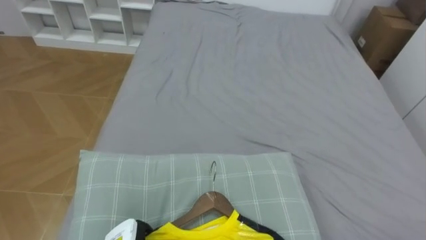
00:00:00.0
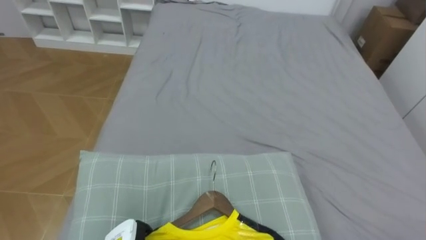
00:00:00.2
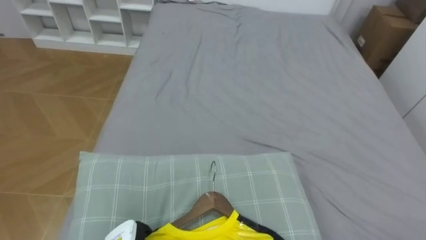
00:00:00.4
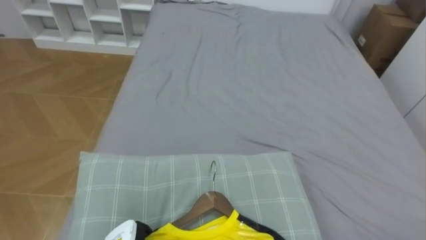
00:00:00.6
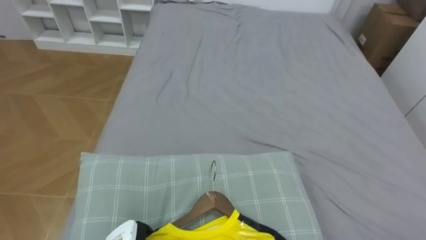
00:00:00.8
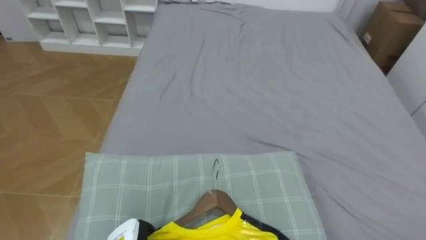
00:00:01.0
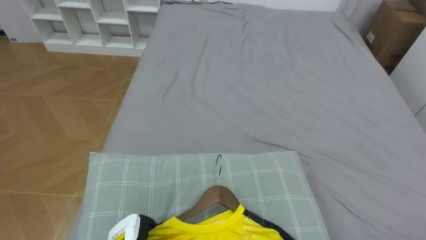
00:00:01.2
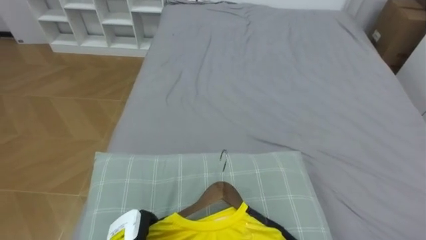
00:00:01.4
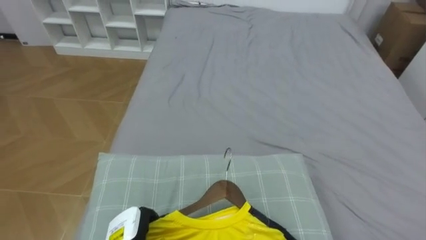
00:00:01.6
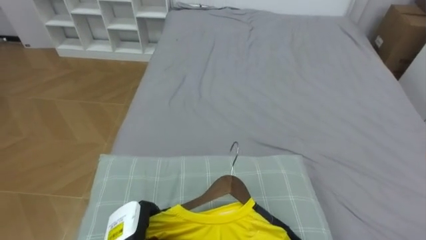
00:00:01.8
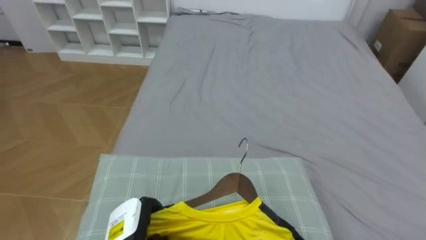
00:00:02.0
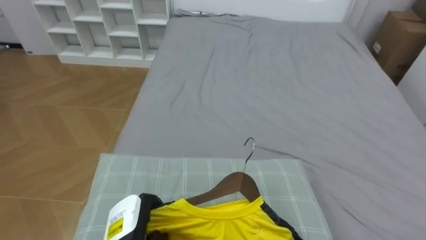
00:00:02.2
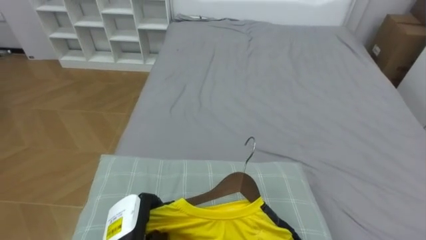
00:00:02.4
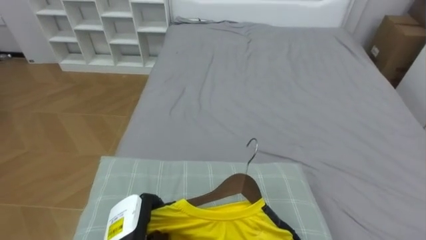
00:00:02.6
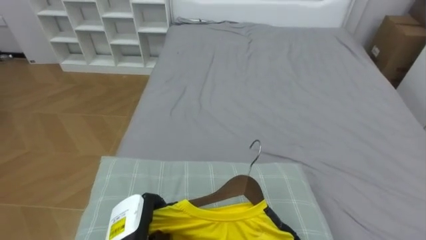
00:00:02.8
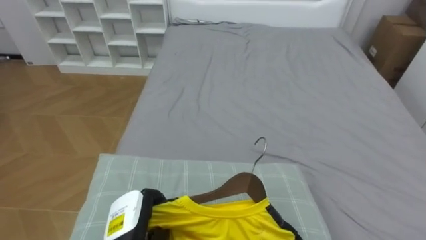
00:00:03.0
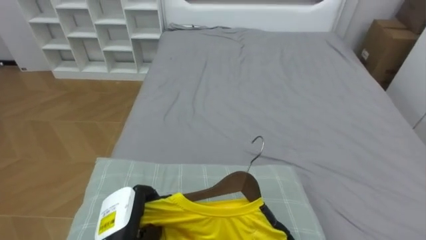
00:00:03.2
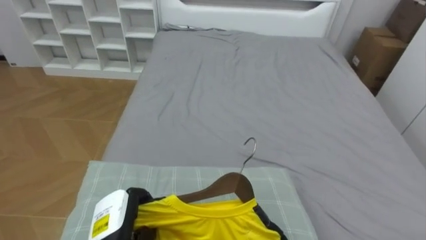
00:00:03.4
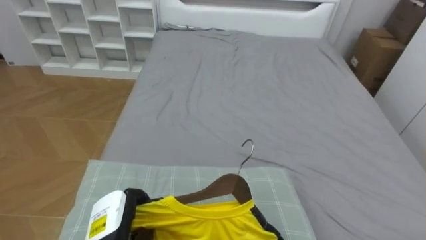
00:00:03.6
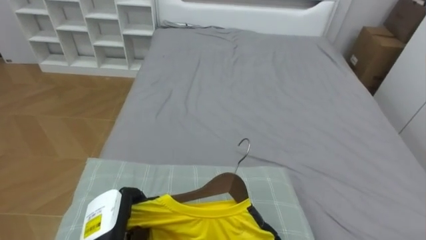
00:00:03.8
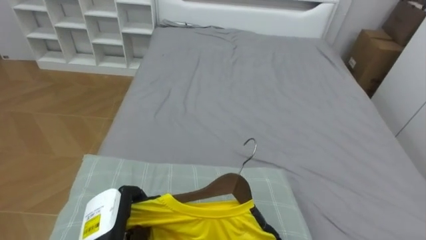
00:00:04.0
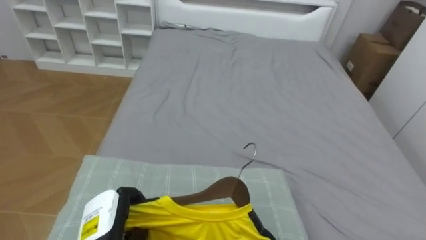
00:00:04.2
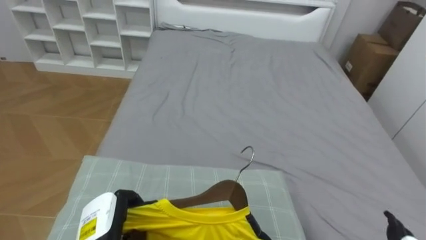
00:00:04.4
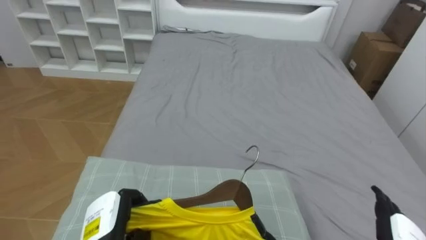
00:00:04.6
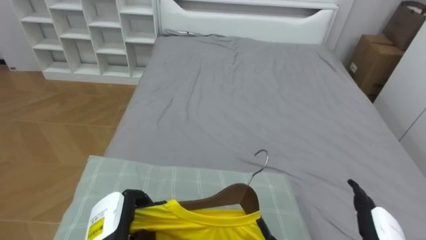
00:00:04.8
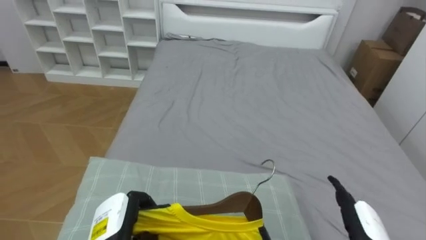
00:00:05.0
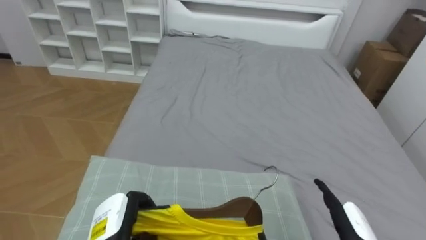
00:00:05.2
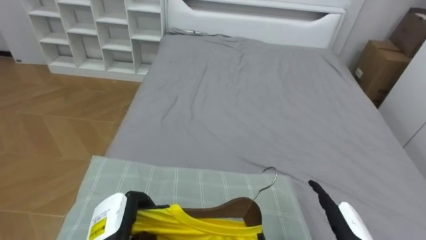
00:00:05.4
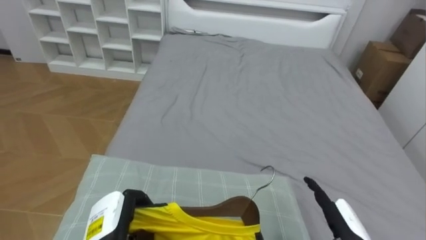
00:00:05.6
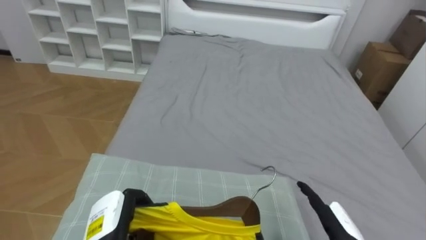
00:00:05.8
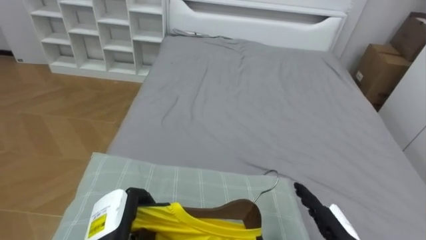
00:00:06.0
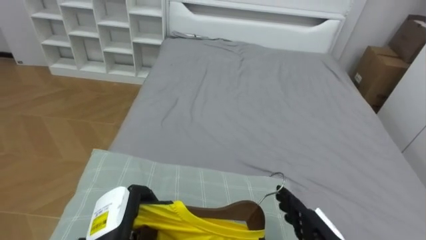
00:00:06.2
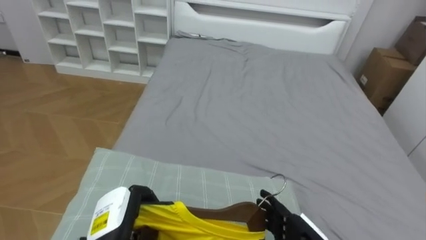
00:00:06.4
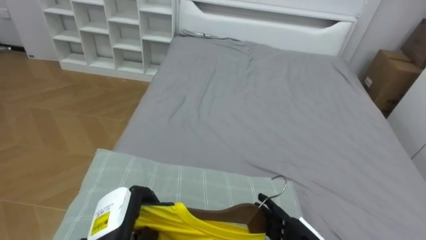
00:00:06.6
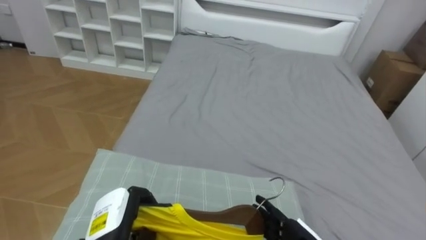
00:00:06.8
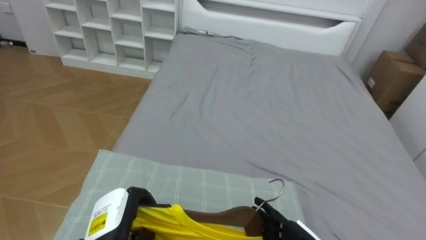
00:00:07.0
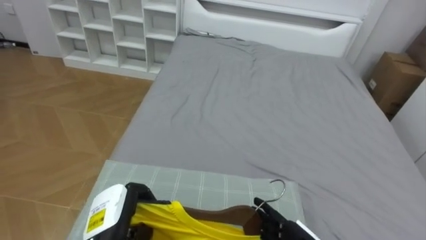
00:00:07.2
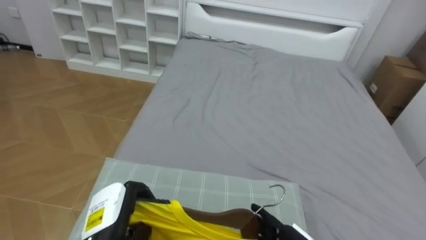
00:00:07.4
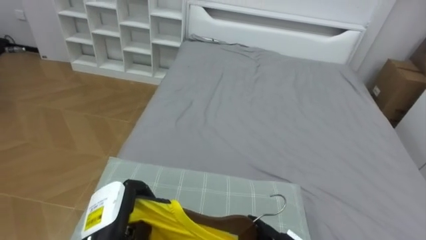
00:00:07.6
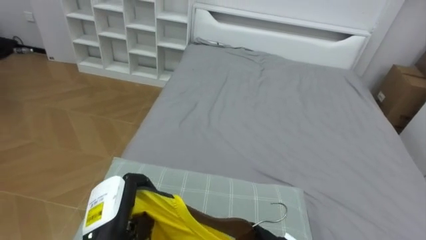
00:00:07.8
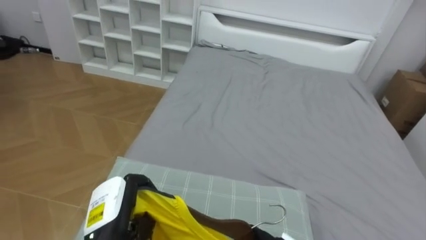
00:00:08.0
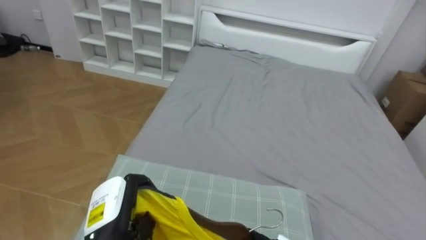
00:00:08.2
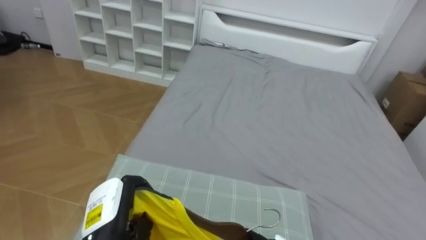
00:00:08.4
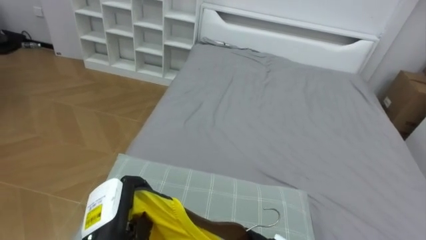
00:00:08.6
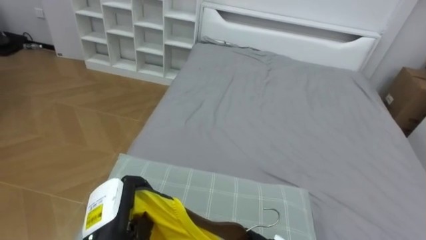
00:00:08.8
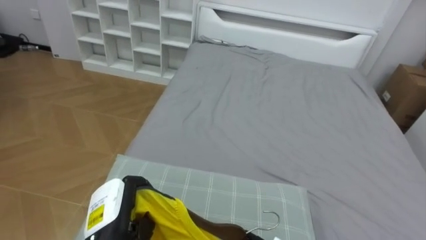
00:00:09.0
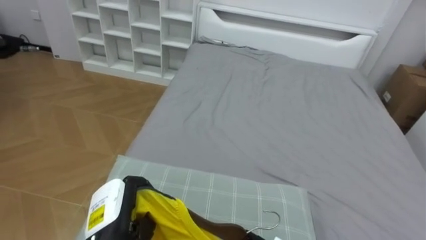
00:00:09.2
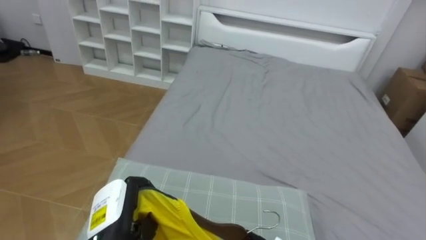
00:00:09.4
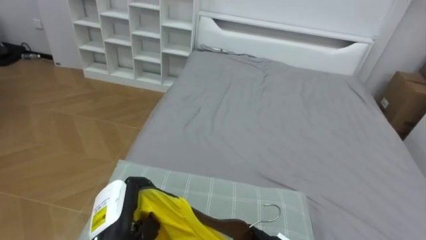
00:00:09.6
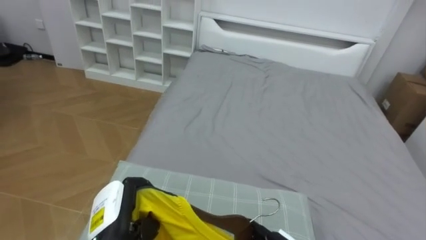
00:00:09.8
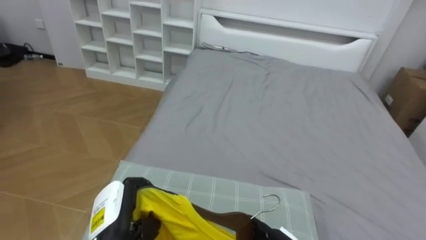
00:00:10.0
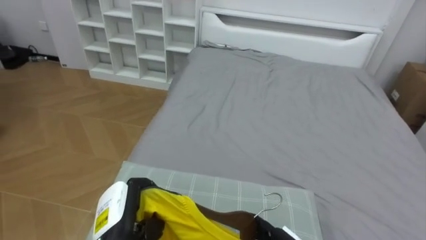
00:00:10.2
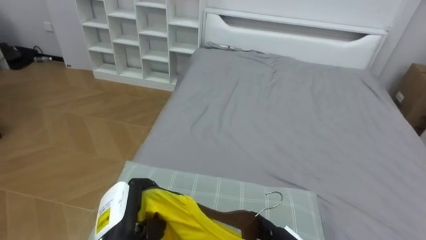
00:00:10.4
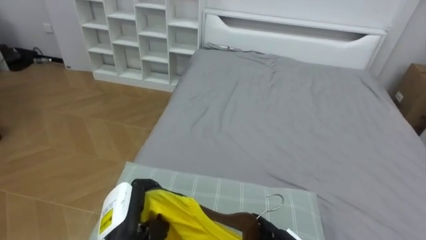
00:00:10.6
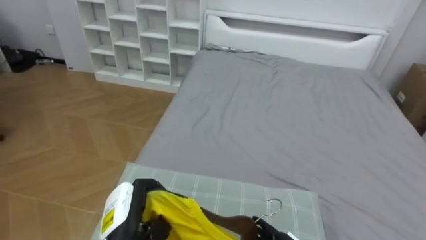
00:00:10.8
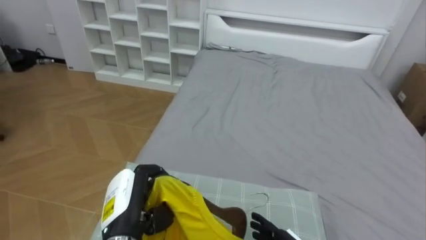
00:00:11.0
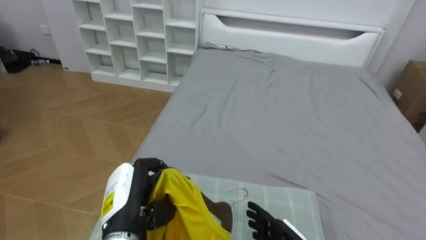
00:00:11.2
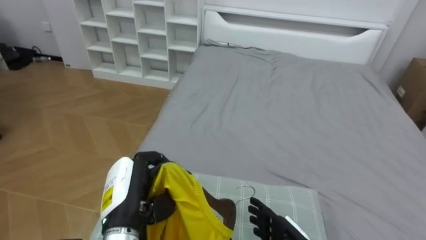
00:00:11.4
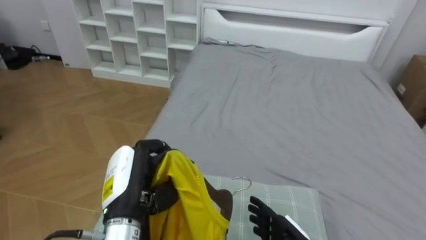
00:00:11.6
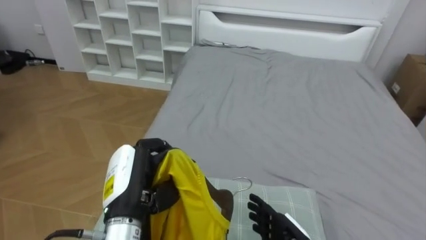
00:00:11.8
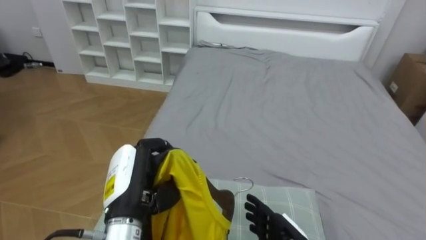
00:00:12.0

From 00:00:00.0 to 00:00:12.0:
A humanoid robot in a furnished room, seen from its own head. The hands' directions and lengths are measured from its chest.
Task of the whole recording: Pick up the yellow shirt on the bed and hang it on the clothes rack on the right.
From 00:00:01.6 to 00:00:03.0: The left hand shifts approximately 5 cm upward.
From 00:00:10.4 to 00:00:12.0: The left hand moves upward, about 10 cm.

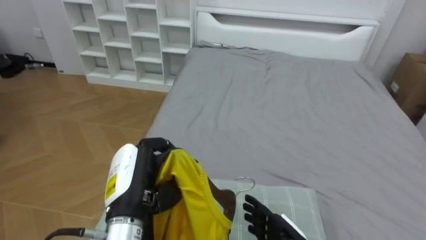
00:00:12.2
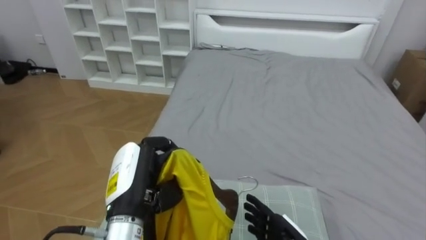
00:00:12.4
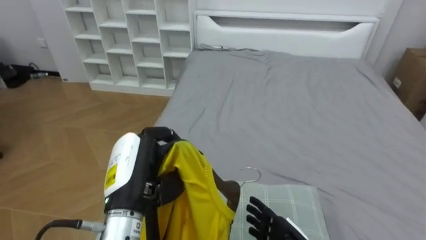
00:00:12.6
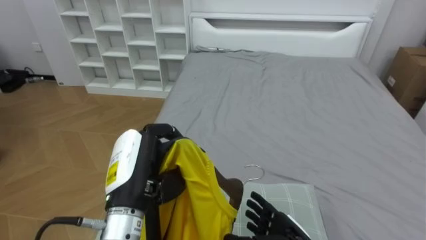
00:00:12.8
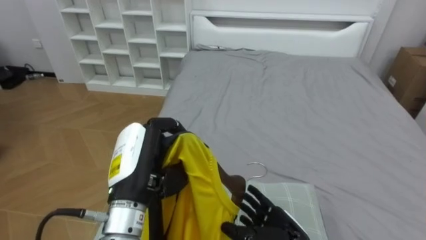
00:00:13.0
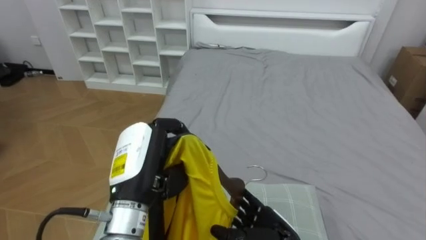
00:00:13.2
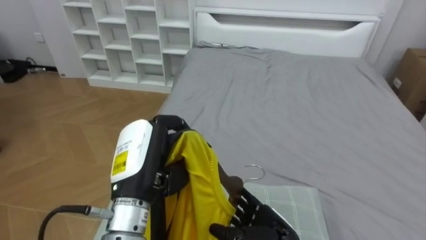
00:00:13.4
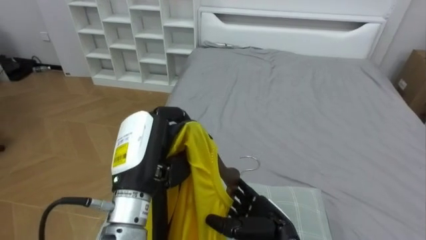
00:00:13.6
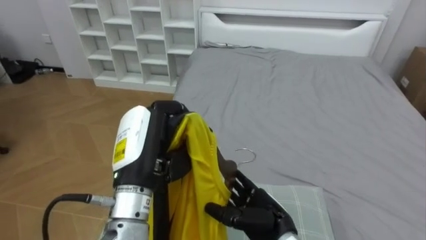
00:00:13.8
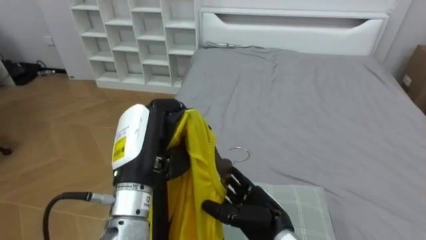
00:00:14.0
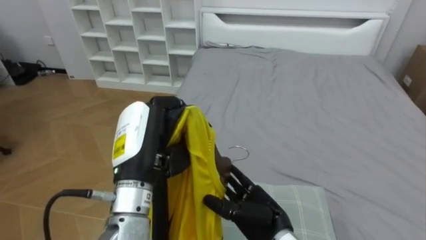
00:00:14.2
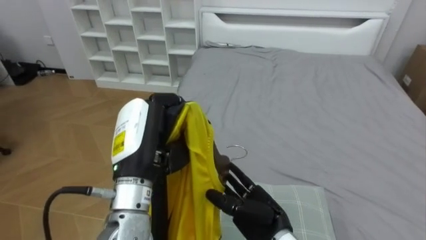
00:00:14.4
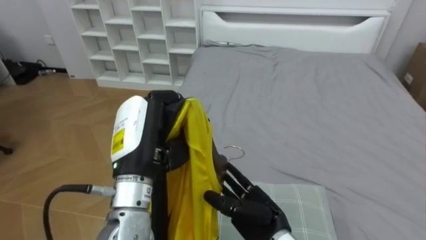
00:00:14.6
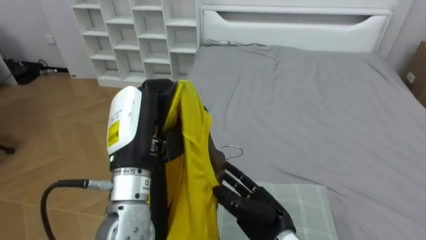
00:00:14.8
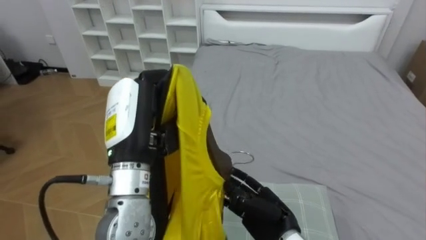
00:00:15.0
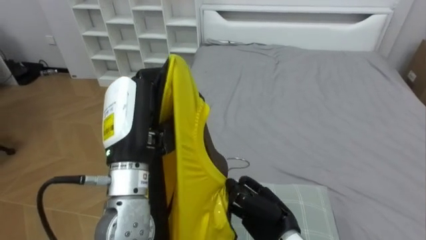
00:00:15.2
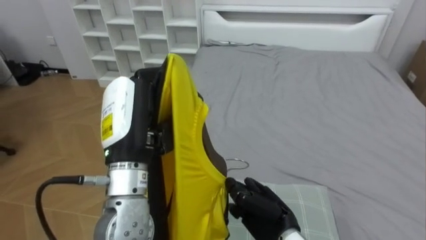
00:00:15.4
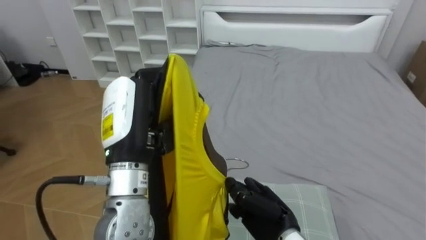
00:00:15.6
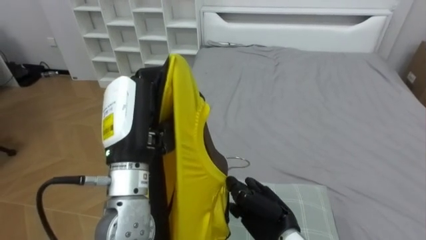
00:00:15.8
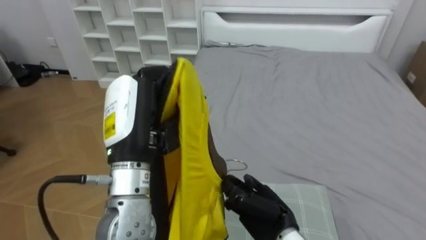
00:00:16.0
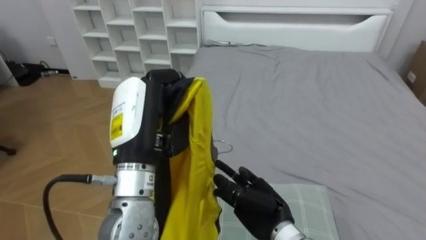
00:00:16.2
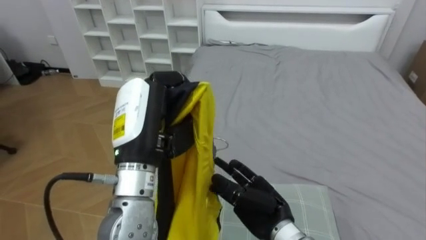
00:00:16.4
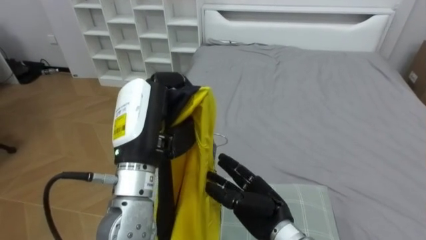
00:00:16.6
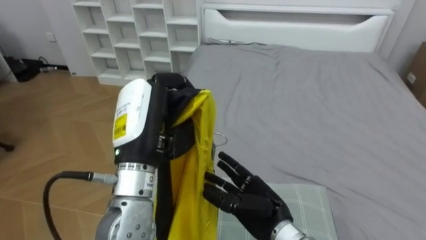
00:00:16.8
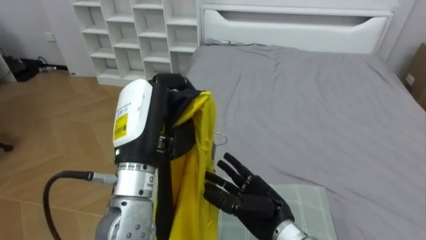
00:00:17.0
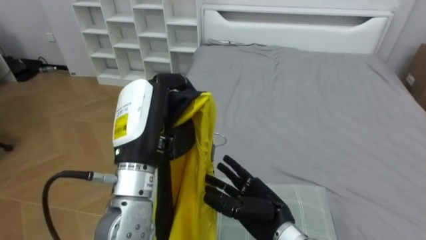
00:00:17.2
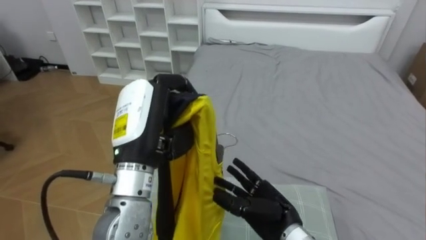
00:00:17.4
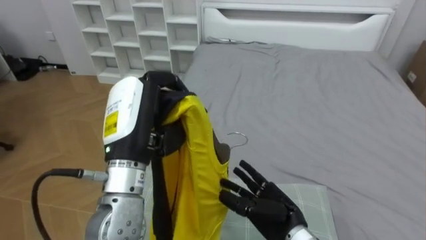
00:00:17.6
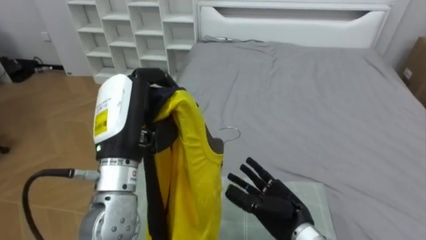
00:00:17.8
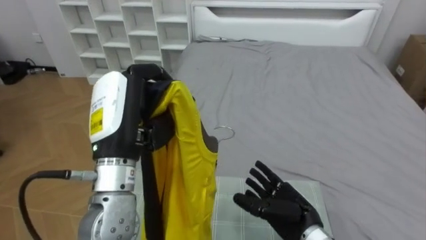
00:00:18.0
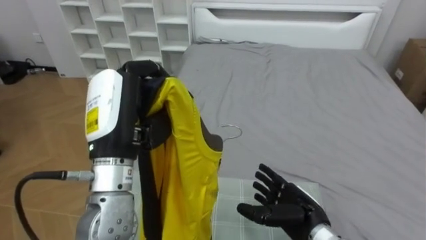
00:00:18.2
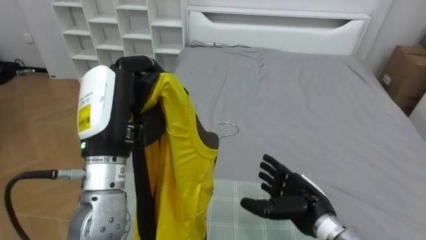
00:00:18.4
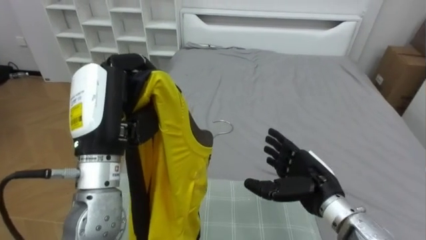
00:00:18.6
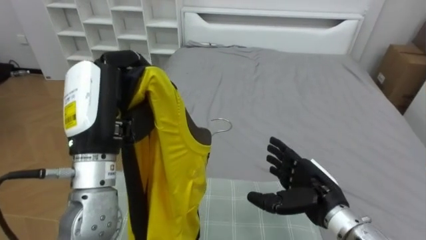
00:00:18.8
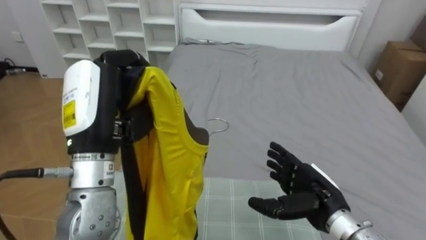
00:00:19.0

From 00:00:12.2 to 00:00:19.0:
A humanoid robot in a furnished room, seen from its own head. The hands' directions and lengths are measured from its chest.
Task of the whole recording: Pick up the yellow shirt on the bed and hang it on the clothes rack on the right.
From 00:00:12.2 to 00:00:13.6: The left hand moves upward, roughly 5 cm.
From 00:00:13.6 to 00:00:15.0: The right hand closes up.
From 00:00:15.0 to 00:00:16.2: The hands stay close to where they were, moving slightly.
From 00:00:16.2 to 00:00:17.6: The right hand opens its fingers.
From 00:00:17.6 to 00:00:19.0: The left hand changes place by roughly 5 cm. Meanwhile the right hand shifts about 5 cm to the right.
